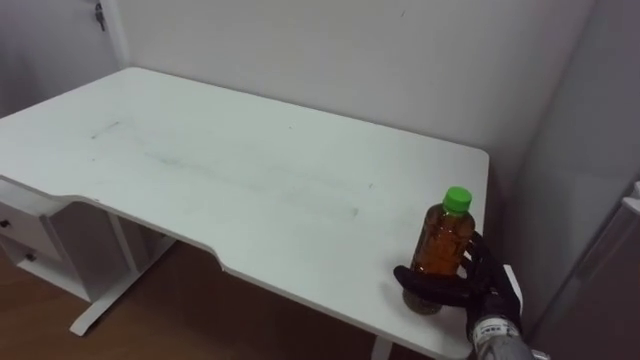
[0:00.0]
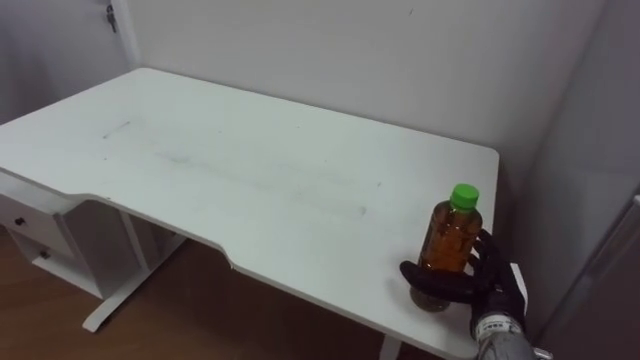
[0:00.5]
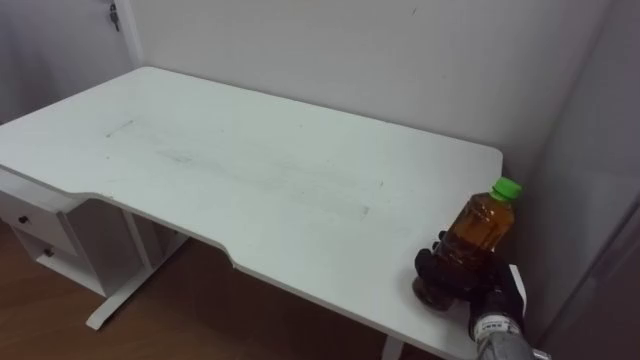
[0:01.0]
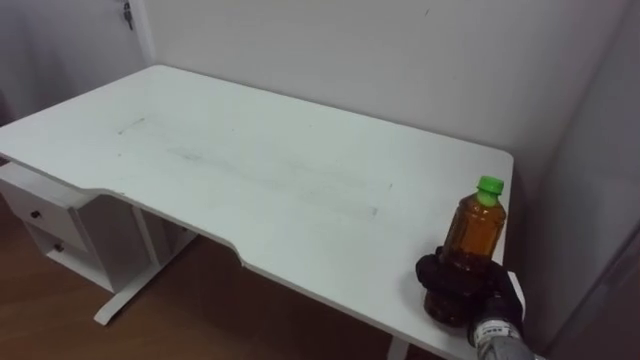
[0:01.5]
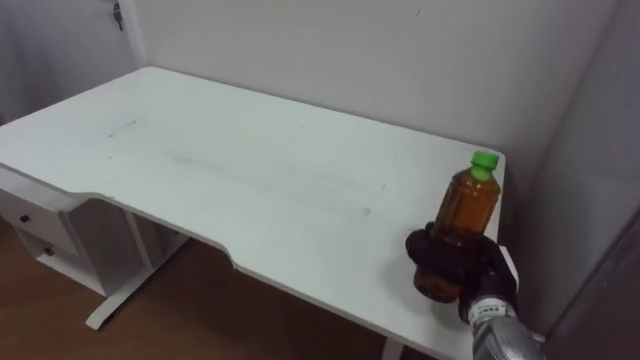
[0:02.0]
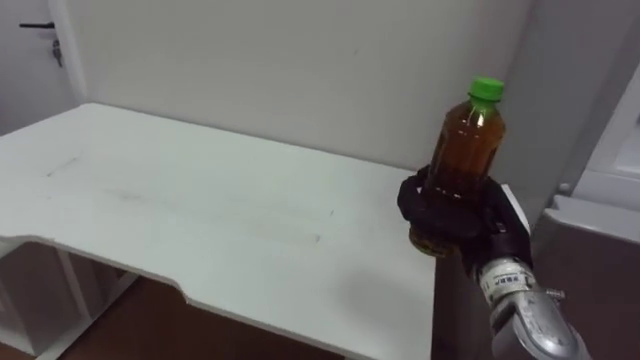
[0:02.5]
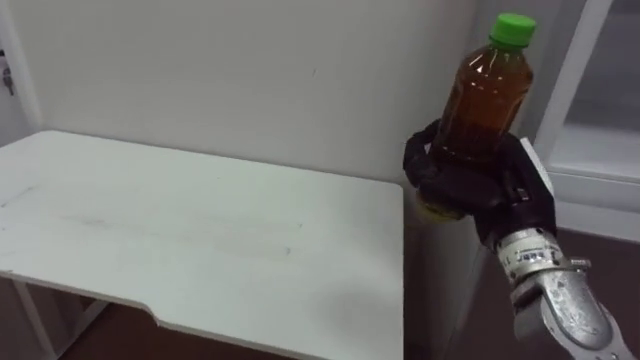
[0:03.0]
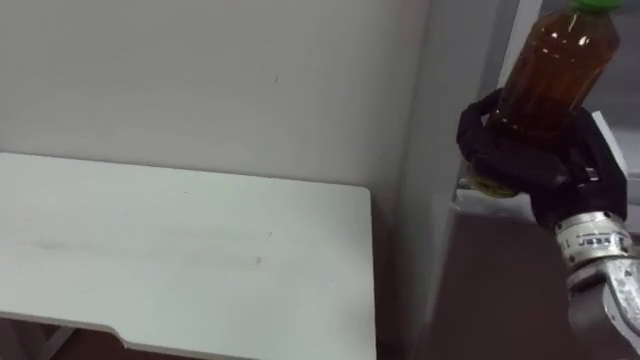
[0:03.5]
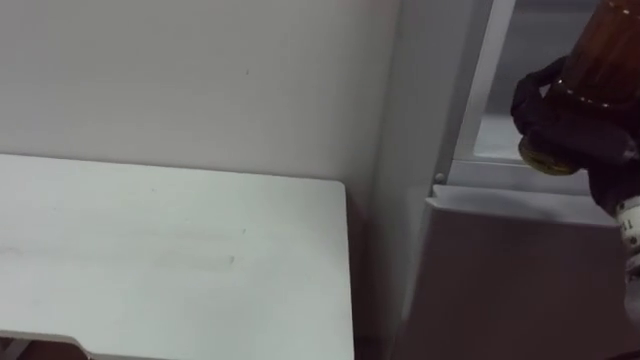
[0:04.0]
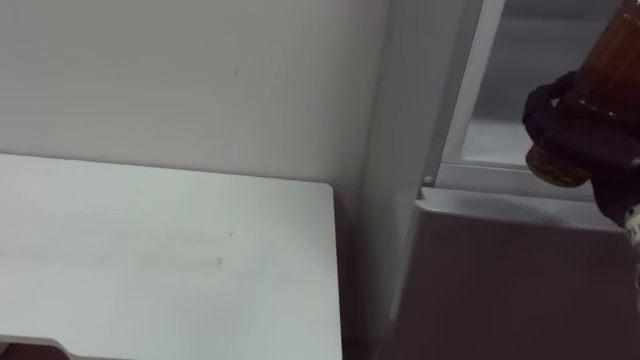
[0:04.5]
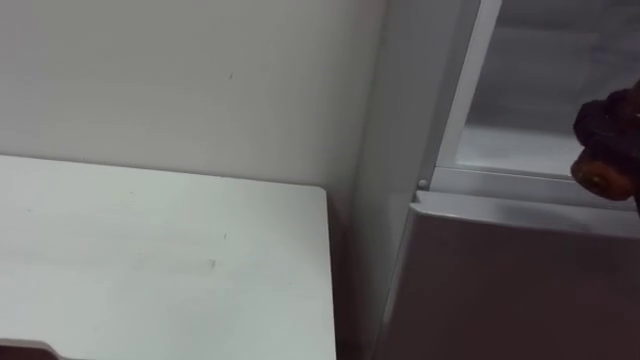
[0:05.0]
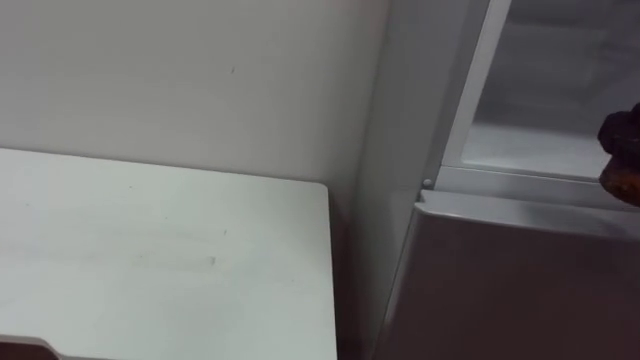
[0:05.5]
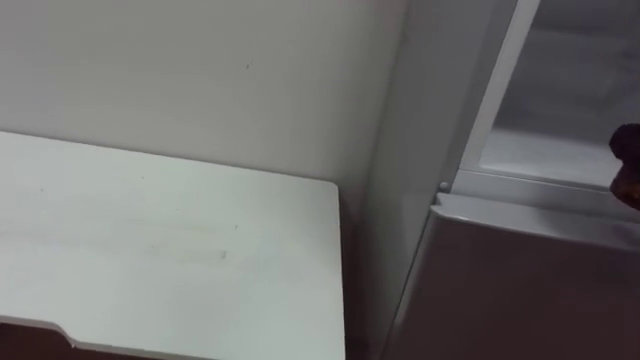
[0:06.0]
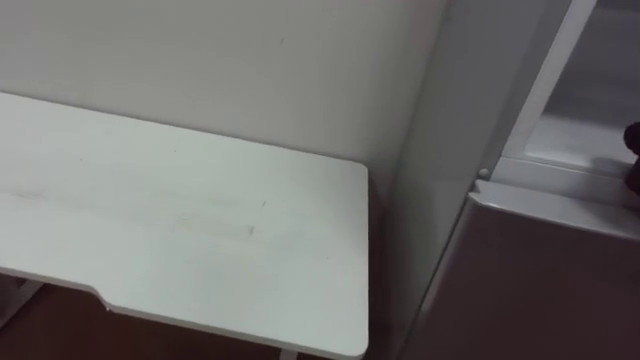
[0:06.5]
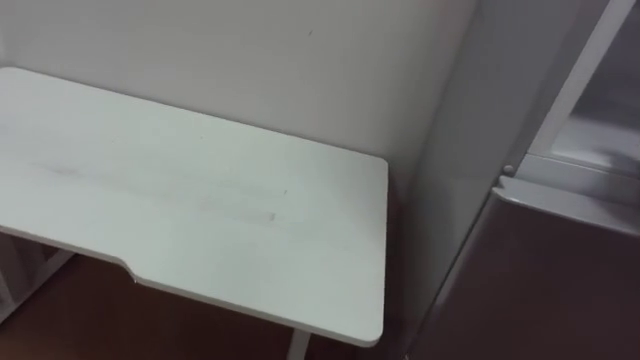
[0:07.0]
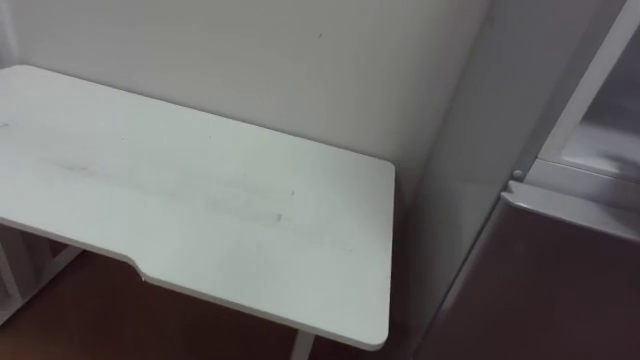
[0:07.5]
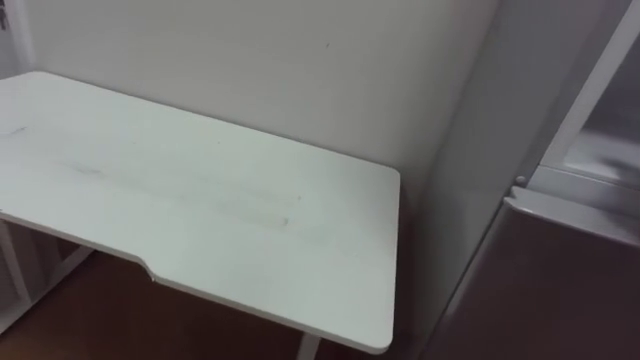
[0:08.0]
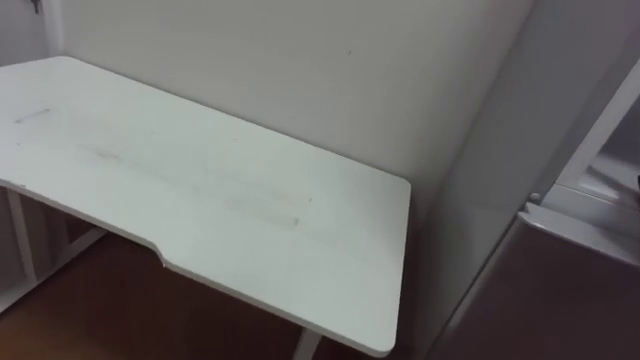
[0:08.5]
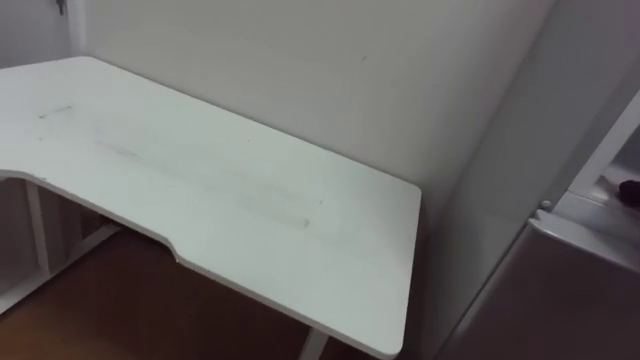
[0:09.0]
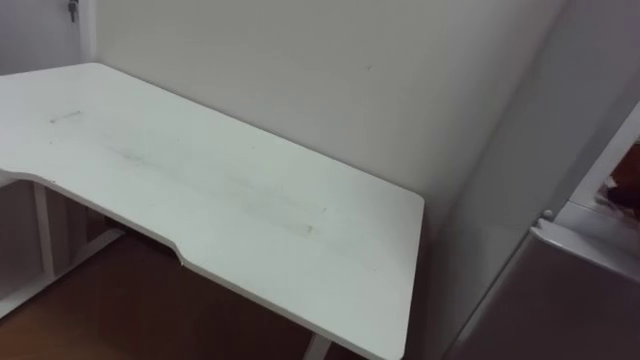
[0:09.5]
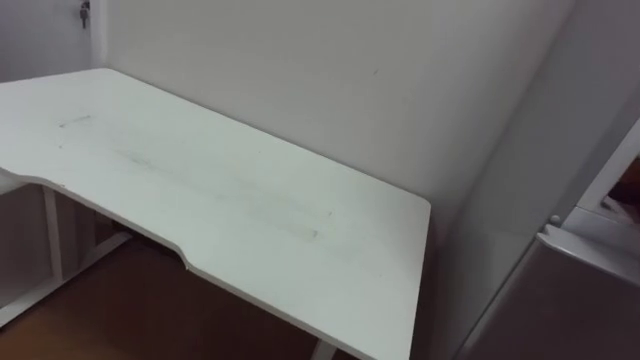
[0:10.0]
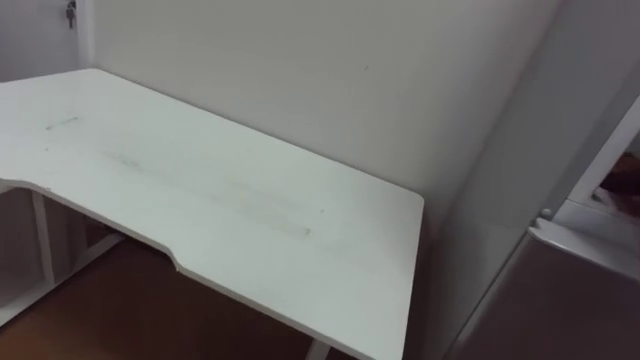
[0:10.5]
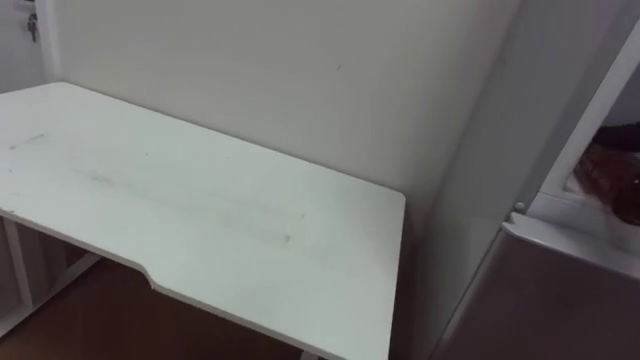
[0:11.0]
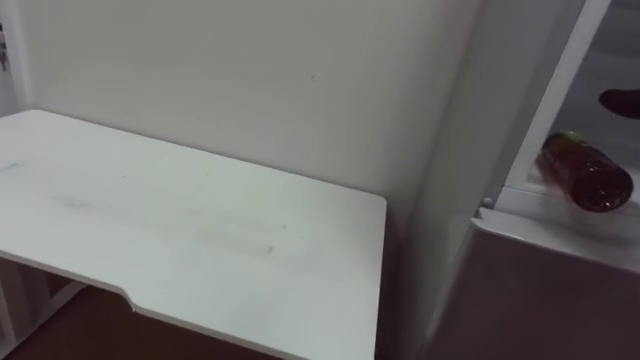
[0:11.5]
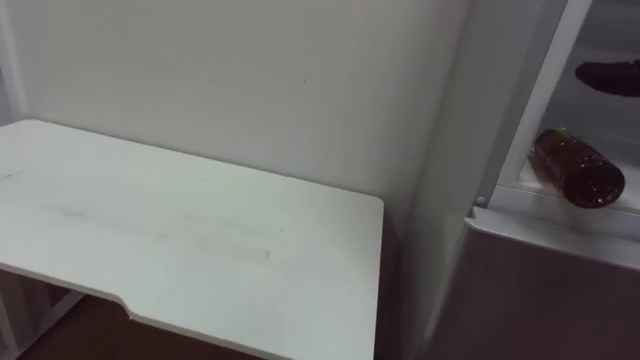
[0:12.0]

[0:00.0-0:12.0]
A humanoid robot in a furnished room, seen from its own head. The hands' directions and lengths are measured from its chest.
Task of the whole recording: Open the upper refrigerator door, put the drink from the table into the refrigerator, and then close the refrigerator door.
0:00.0 to 0:02.0: The right hand closes its fingers.
0:02.0 to 0:04.0: The right hand moves upward, some 20 cm.

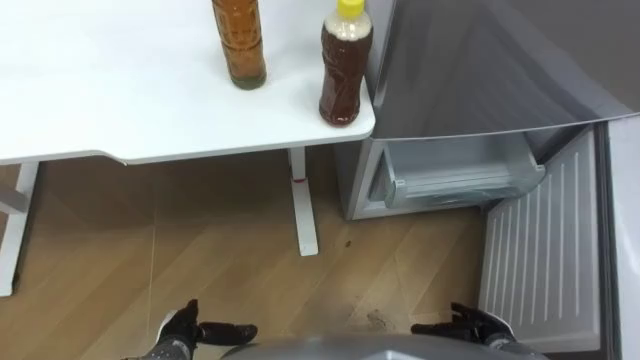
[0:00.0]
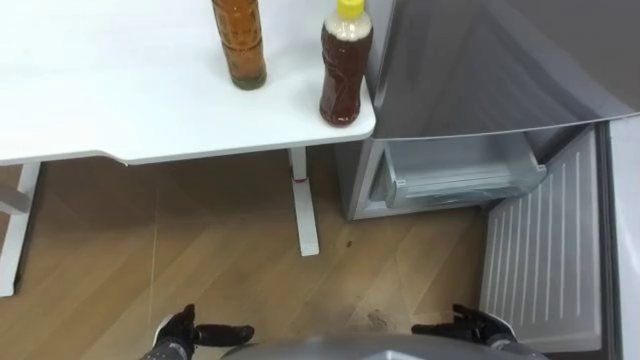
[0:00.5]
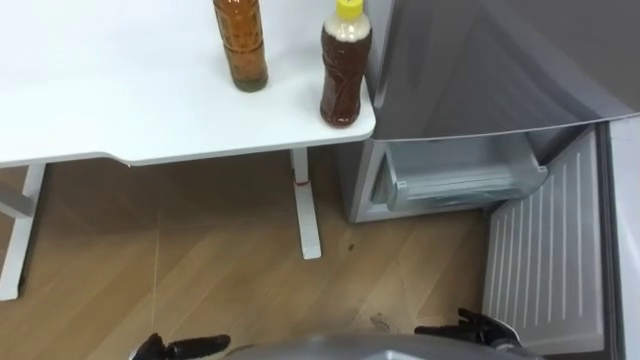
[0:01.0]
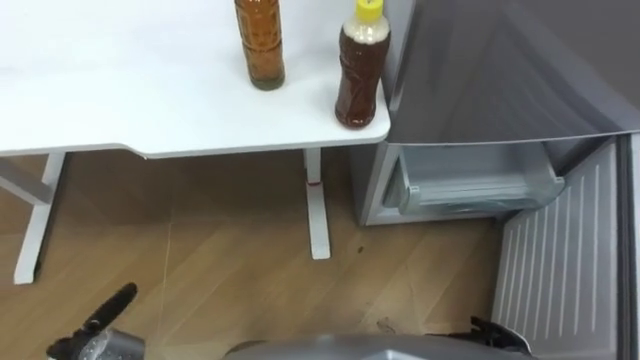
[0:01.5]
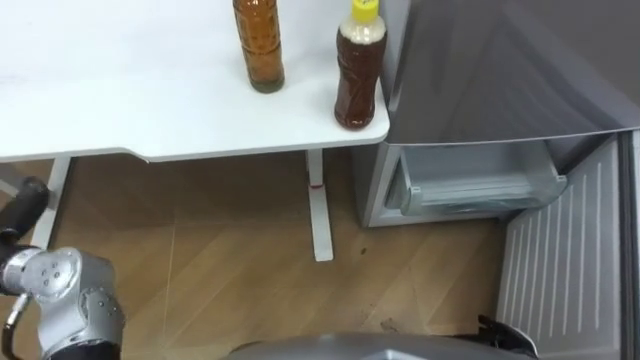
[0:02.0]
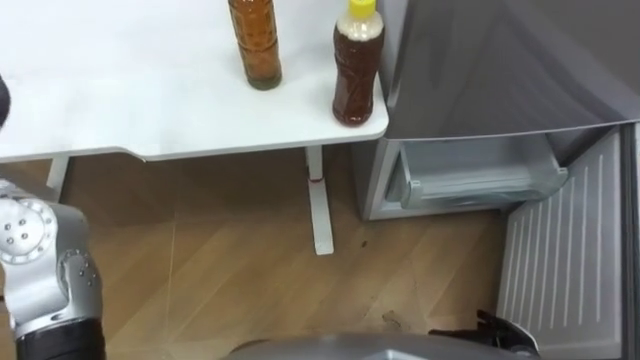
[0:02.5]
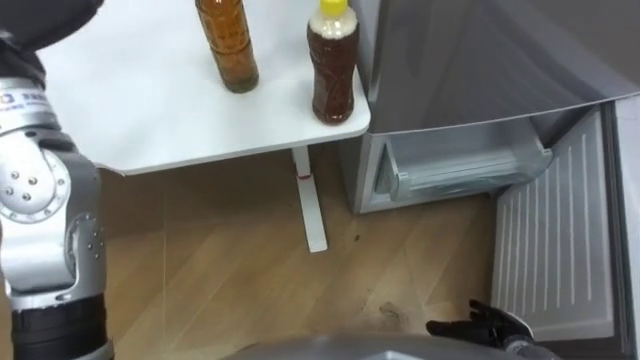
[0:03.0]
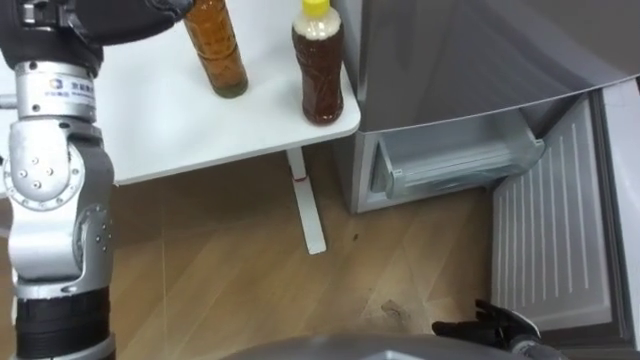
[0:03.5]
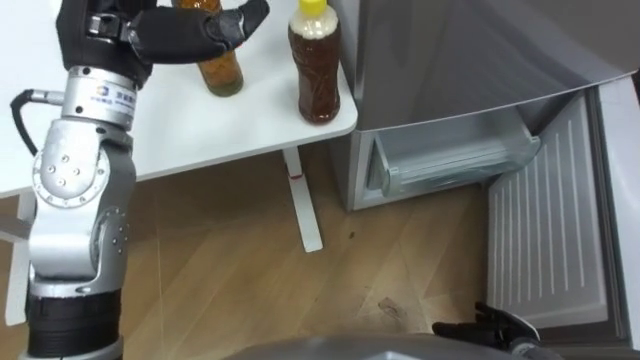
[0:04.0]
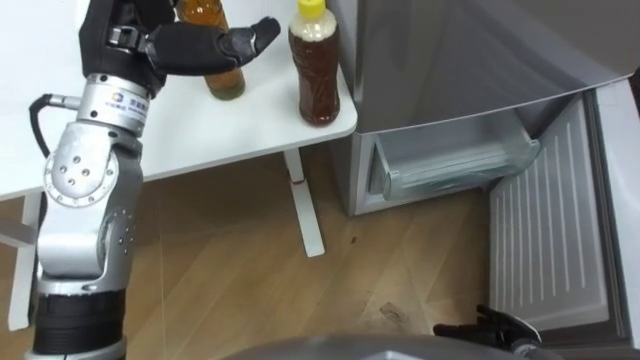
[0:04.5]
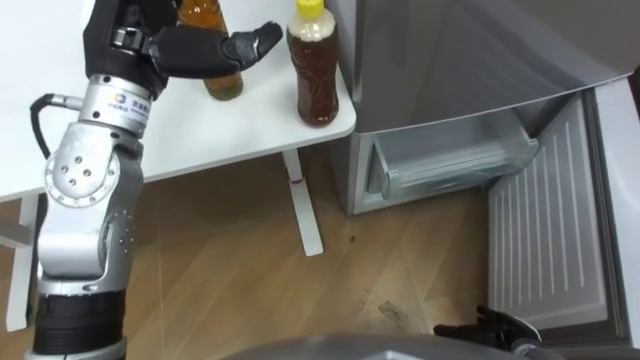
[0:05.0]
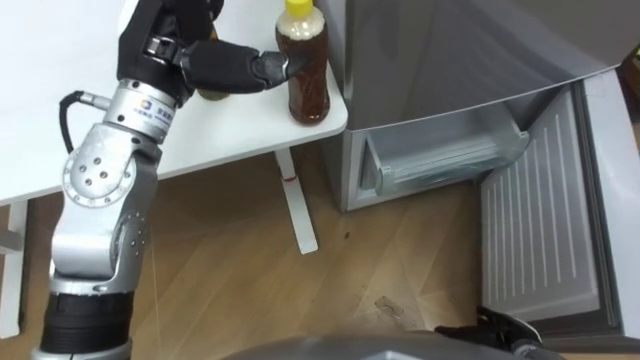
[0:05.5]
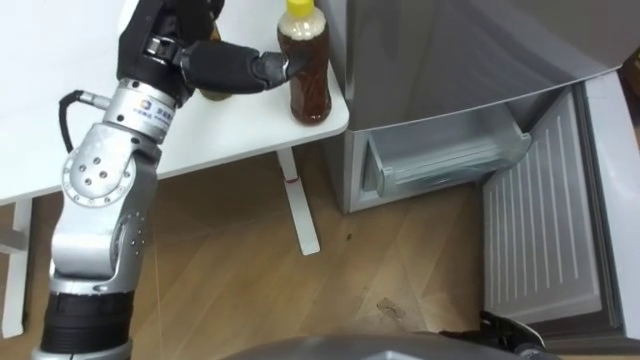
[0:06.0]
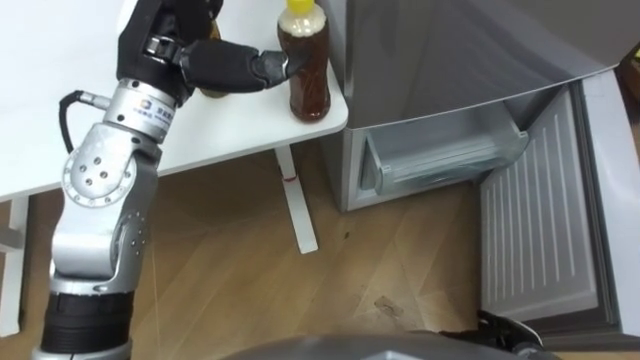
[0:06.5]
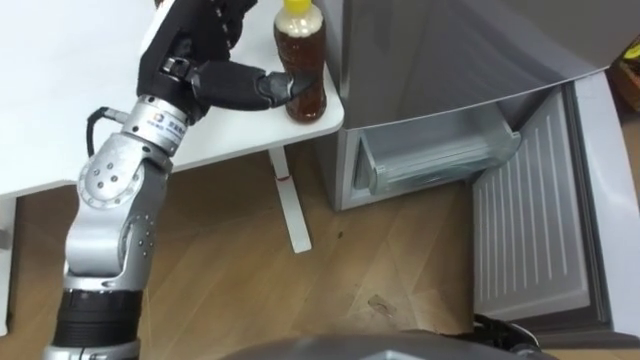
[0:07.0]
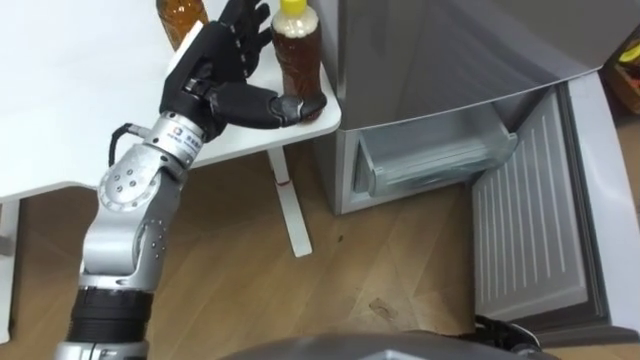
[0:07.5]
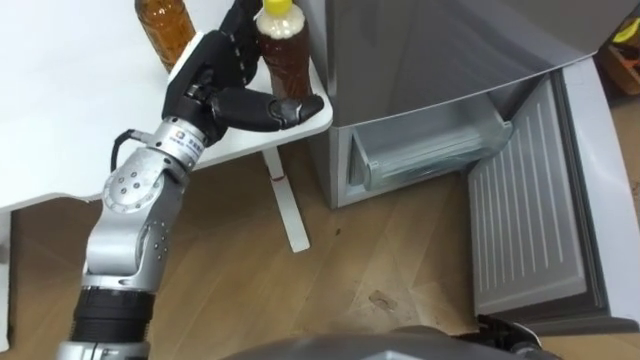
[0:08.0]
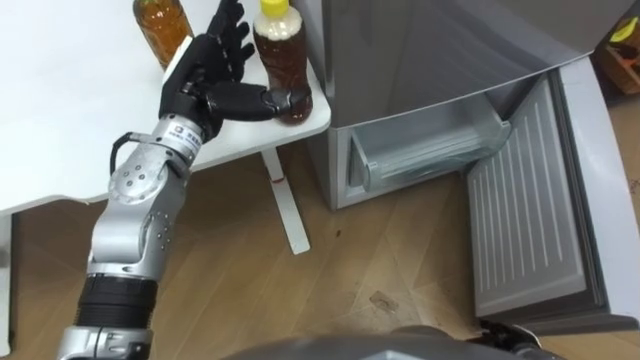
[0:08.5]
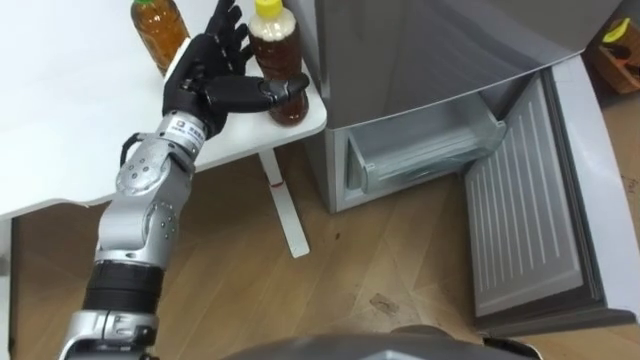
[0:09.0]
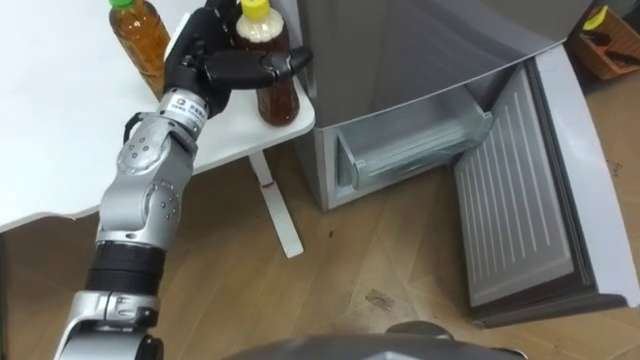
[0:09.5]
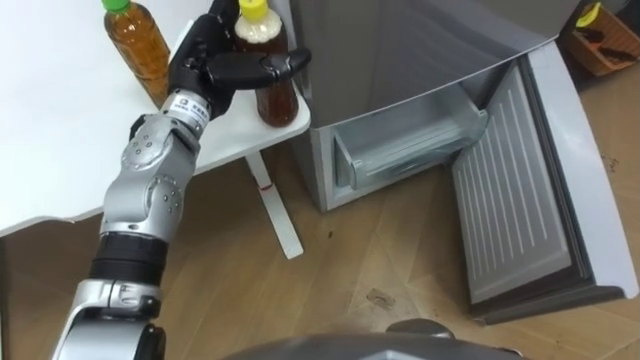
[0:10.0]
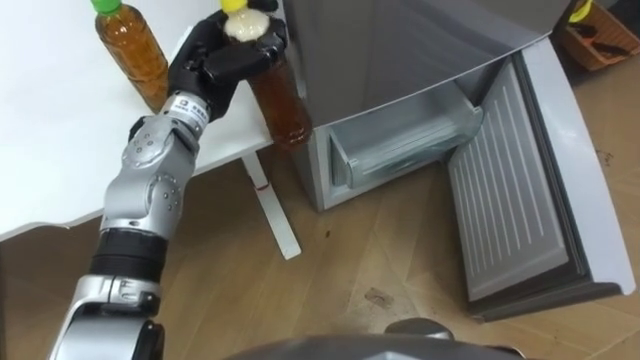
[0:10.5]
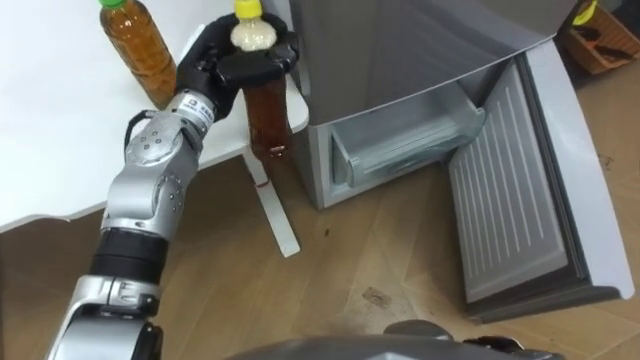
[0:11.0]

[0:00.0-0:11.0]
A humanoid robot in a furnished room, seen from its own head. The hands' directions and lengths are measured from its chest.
Task of the whole recording: Place the drink on the table on the bottom shelf of the refrigerator, then close the drawer and the refrigerator door.
0:03.5 to 0:05.5: The left hand shifts some 10 cm to the right.
0:05.5 to 0:07.5: The left hand travels downward by about 5 cm.
0:09.0 to 0:11.0: The left hand closes its fingers.
